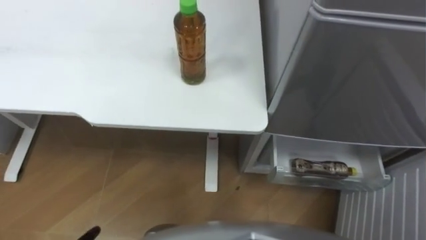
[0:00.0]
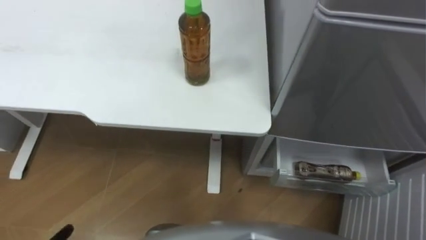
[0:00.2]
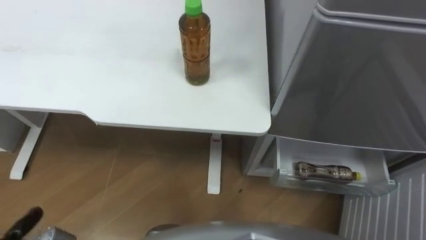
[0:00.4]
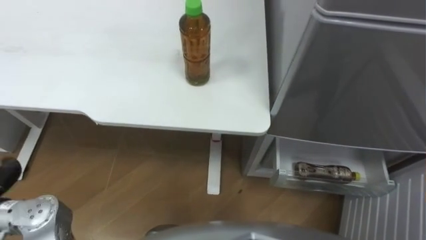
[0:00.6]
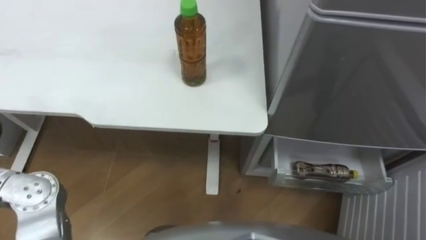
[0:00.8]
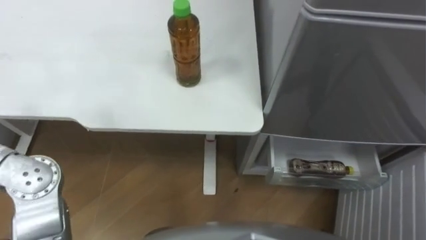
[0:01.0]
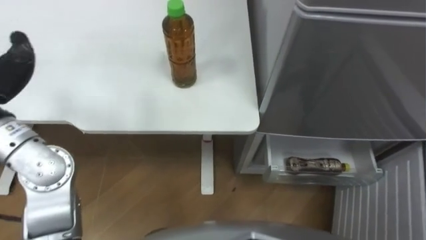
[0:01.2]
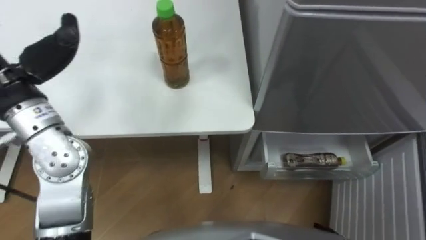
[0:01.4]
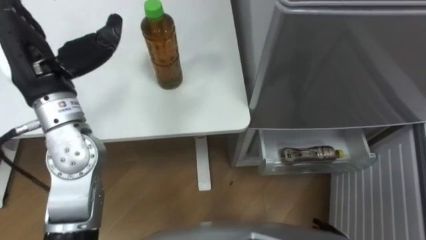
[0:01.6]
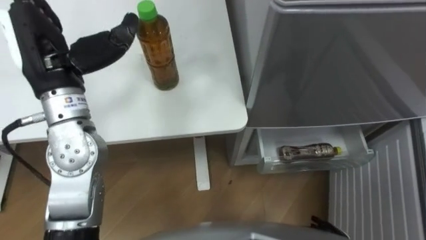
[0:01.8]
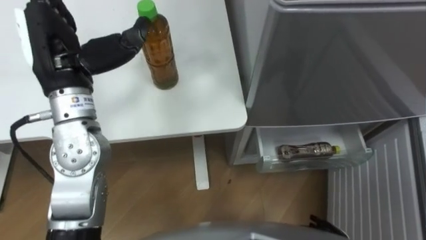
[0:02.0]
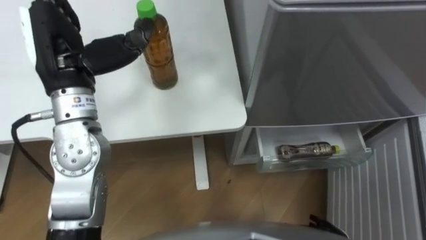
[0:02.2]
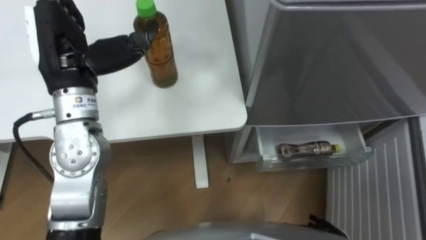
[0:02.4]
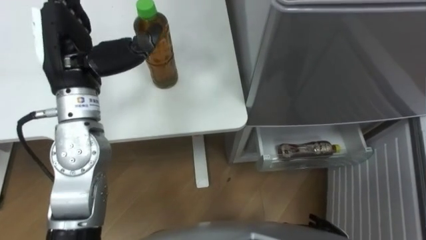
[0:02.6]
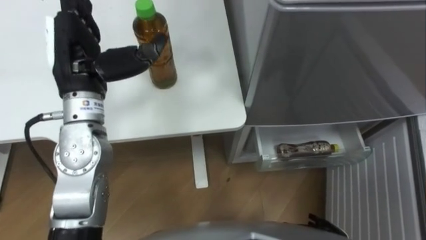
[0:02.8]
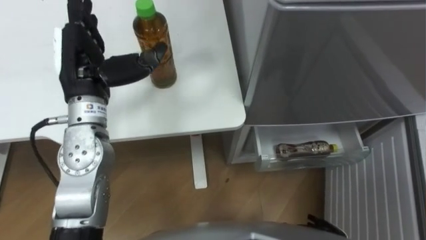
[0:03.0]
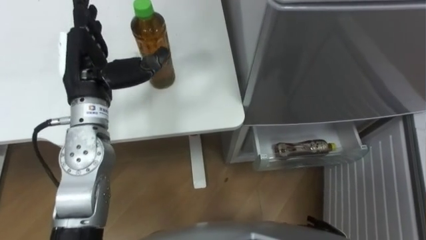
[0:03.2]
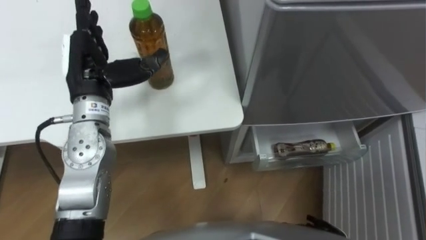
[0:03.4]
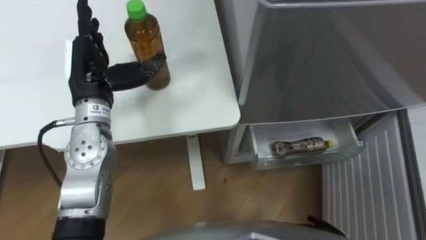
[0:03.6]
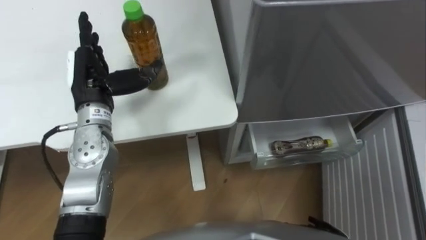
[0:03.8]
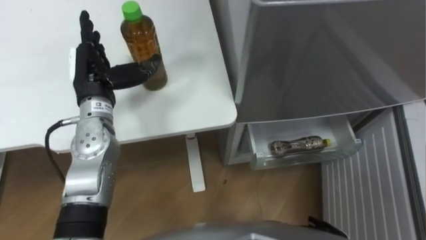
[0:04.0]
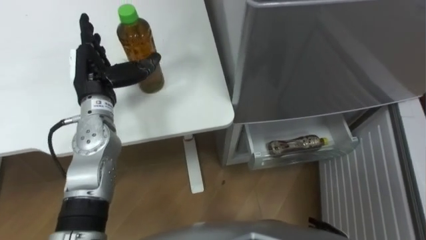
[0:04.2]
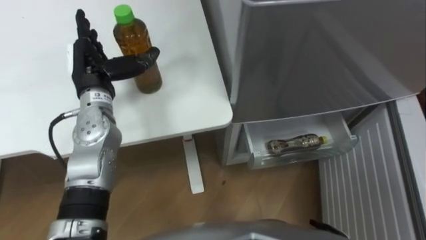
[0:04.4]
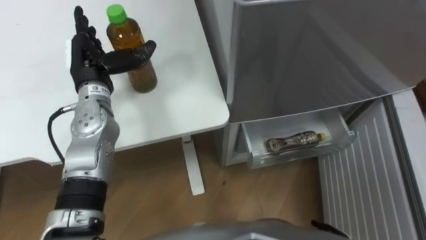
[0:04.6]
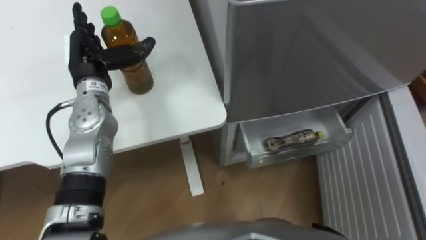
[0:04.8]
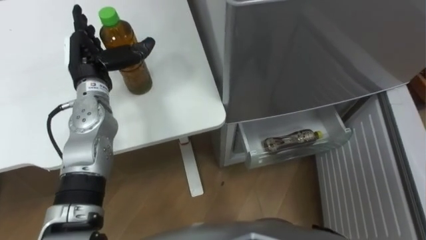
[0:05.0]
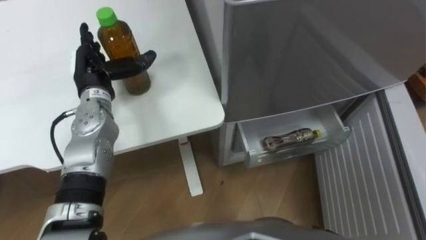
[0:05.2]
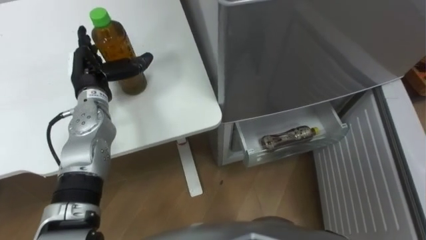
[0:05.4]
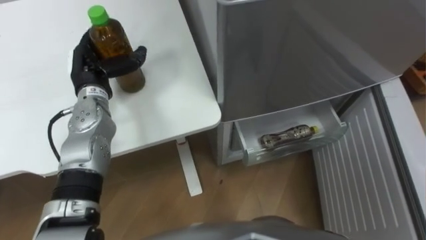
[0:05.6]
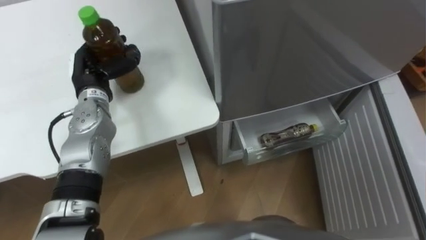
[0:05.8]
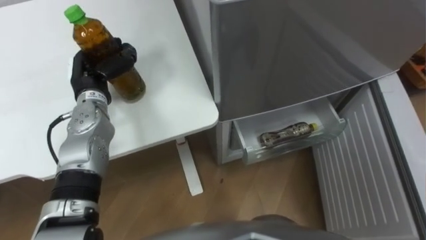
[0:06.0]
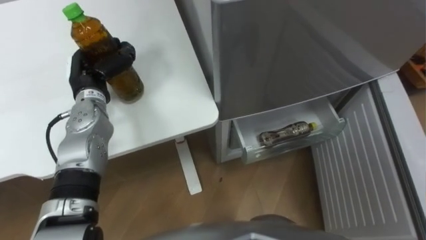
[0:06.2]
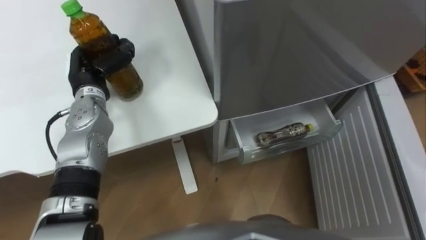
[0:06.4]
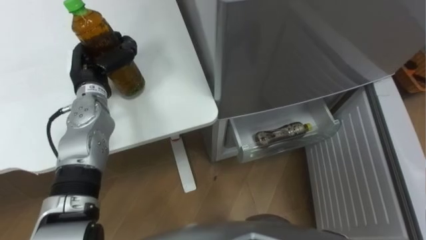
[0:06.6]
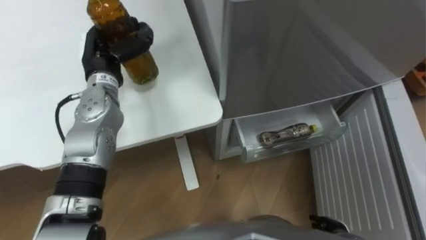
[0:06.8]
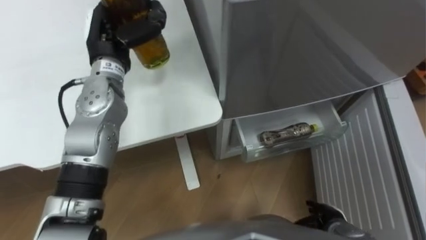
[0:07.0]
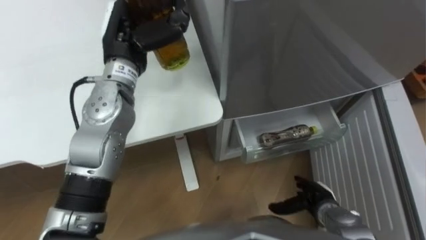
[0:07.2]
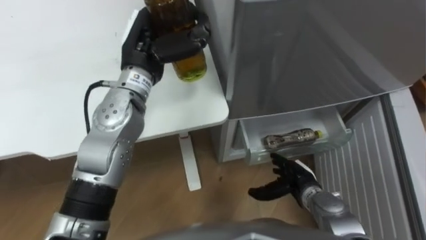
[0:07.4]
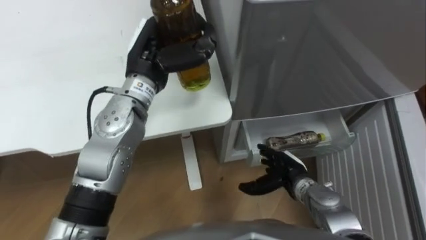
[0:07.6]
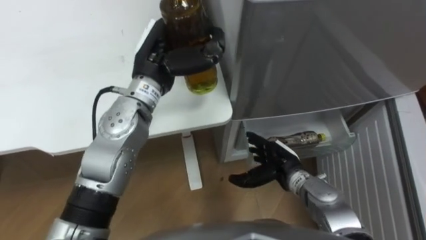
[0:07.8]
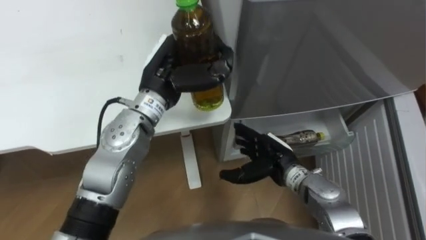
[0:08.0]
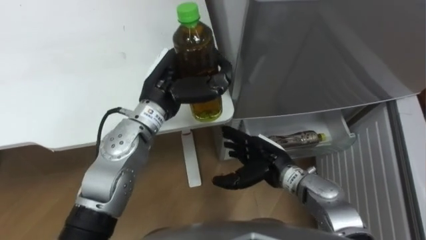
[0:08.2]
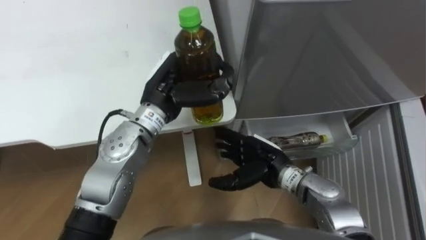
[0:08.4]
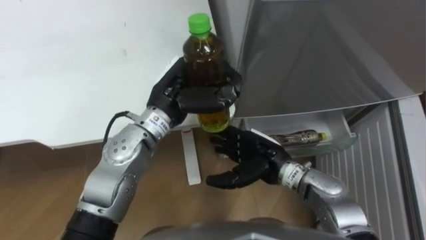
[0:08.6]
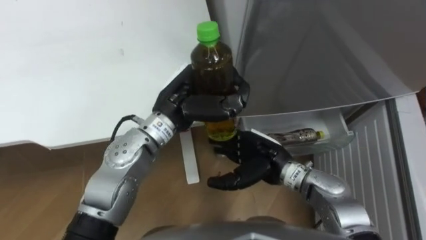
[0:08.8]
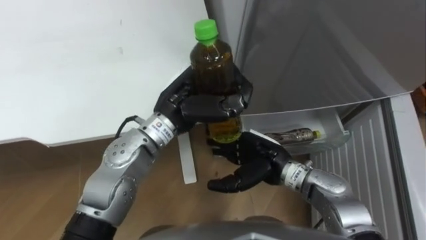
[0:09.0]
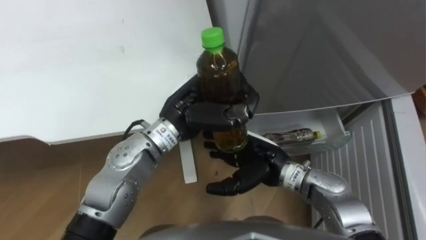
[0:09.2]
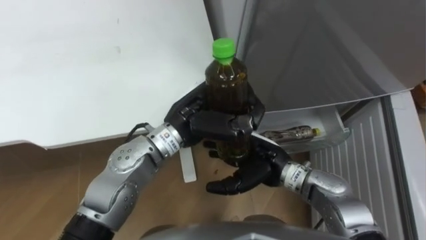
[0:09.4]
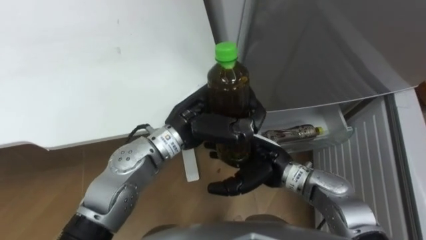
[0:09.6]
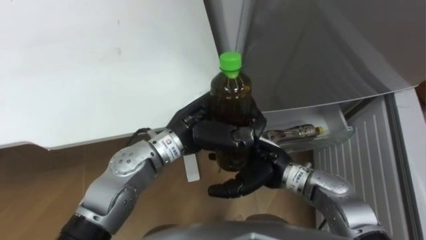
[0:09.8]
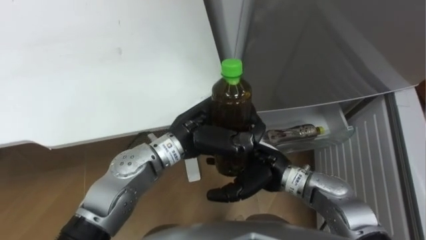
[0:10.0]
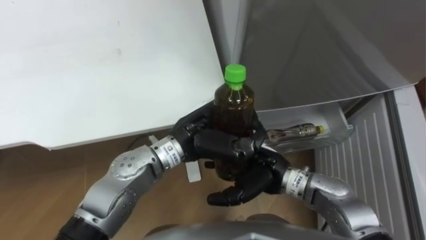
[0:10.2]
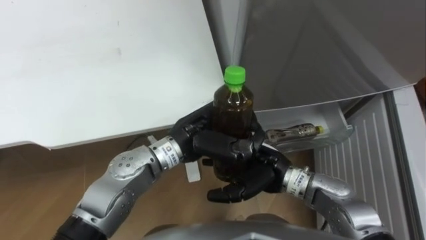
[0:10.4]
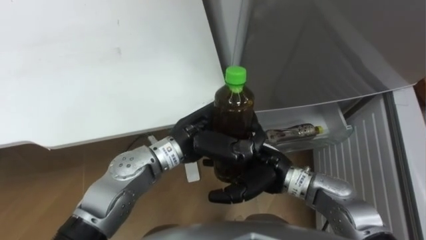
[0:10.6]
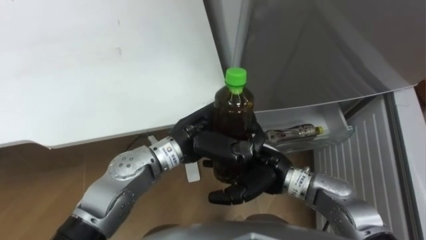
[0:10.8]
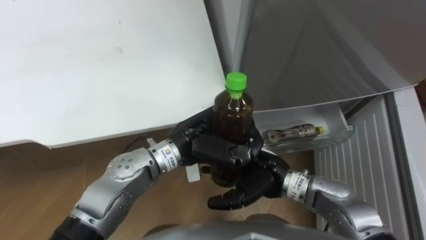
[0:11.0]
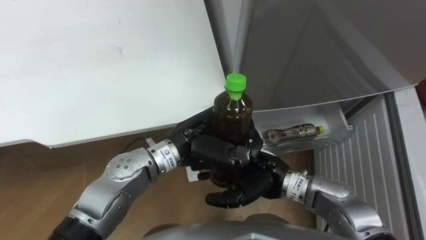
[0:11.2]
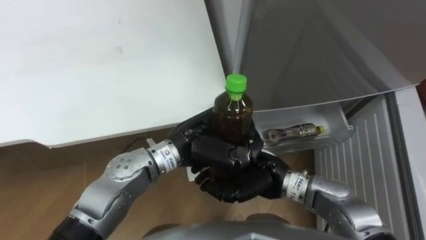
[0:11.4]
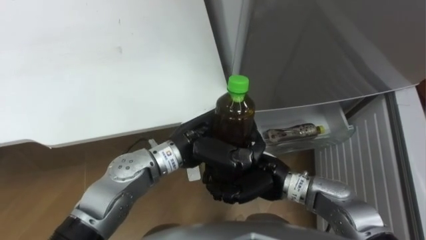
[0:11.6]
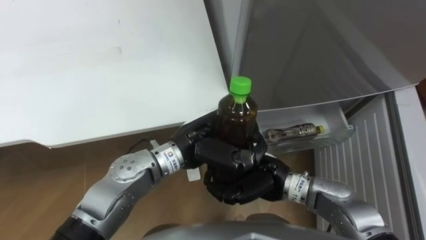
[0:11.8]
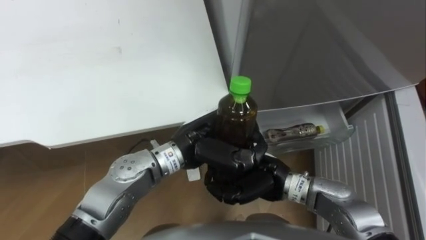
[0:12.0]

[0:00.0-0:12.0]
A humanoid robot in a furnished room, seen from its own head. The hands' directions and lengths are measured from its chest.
Task of the whole recording: Place the drink on the table on the bottom shelf of the refrigerator, then close the drawer and the refrigerator door.
0:01.6 to 0:03.0: The left hand changes place by some 5 cm.
0:03.0 to 0:04.4: The left hand heads downward, covering roughly 5 cm.
0:04.4 to 0:06.0: The left hand closes its fingers.
0:06.0 to 0:07.6: The left hand travels to the right and upward by some 15 cm.
0:07.6 to 0:09.0: The left hand travels backward and to the right by approximately 10 cm; the right hand heads upward and to the left, covering about 10 cm.
0:09.0 to 0:10.4: The left hand changes place by about 5 cm.
0:10.4 to 0:12.0: The right hand closes.

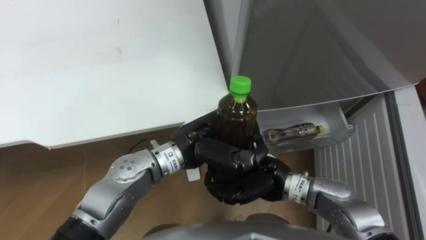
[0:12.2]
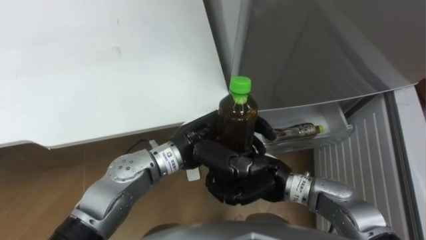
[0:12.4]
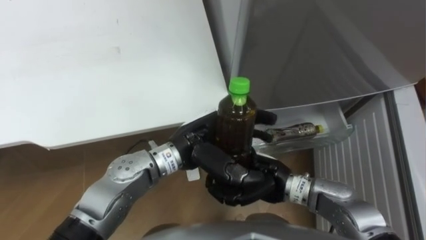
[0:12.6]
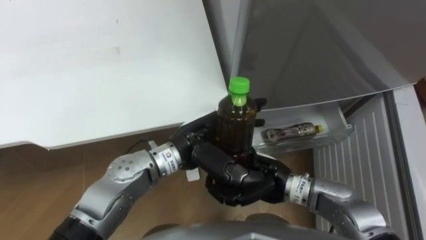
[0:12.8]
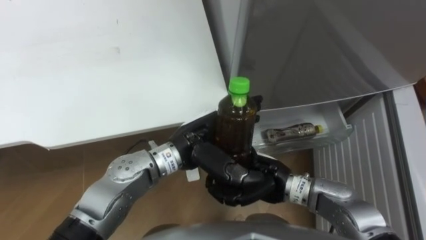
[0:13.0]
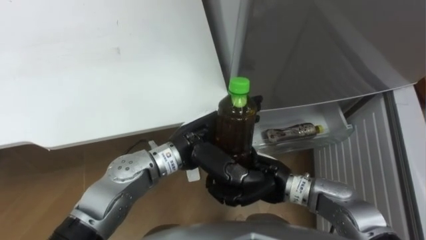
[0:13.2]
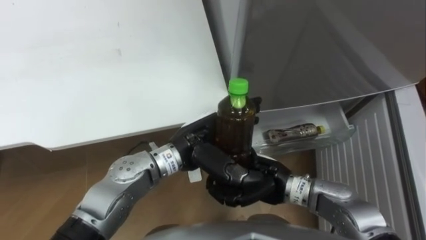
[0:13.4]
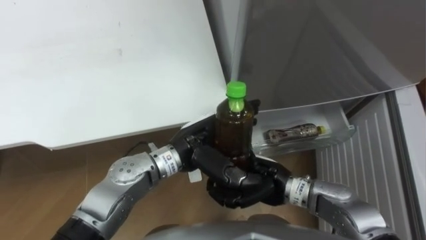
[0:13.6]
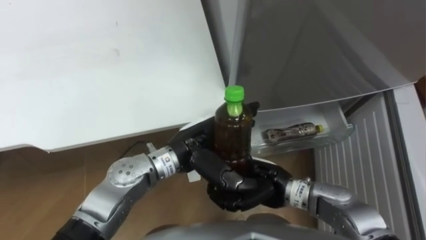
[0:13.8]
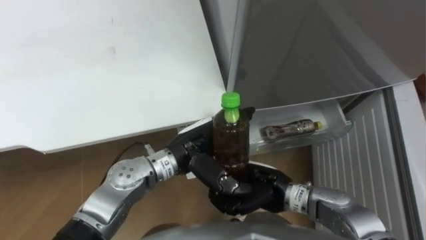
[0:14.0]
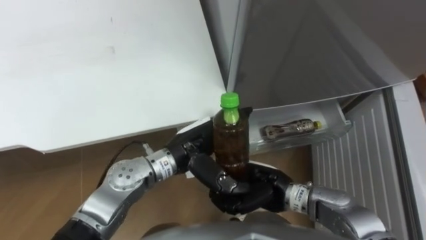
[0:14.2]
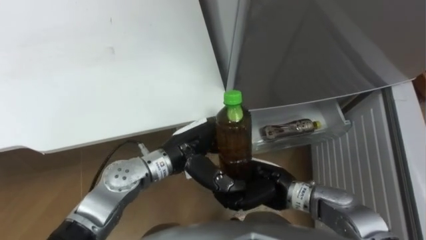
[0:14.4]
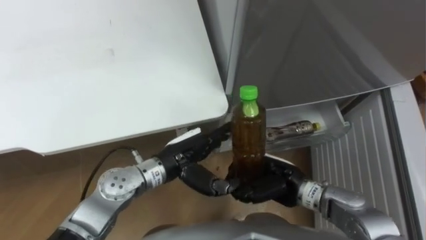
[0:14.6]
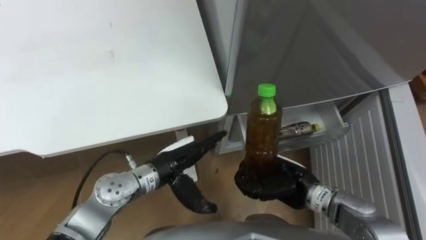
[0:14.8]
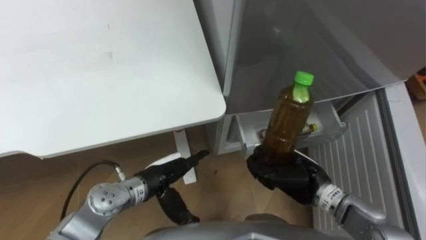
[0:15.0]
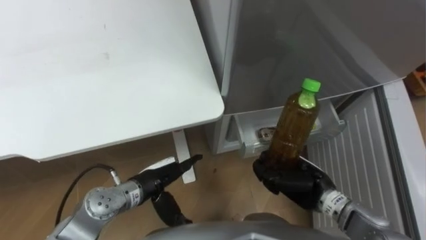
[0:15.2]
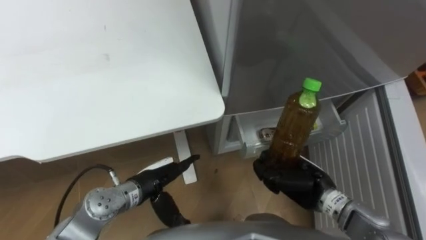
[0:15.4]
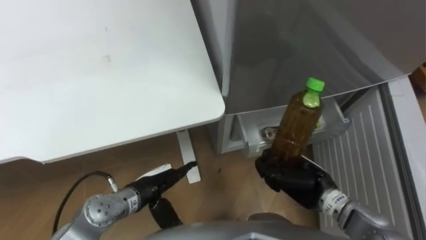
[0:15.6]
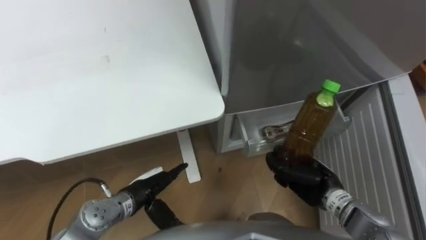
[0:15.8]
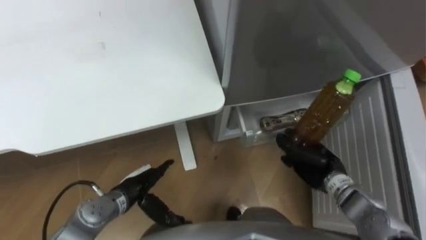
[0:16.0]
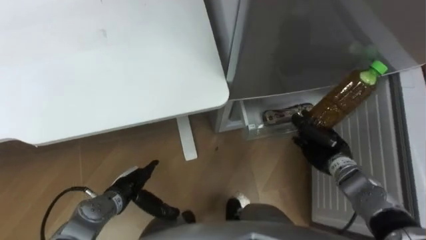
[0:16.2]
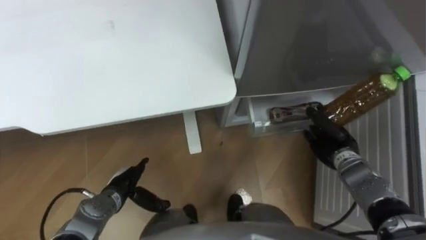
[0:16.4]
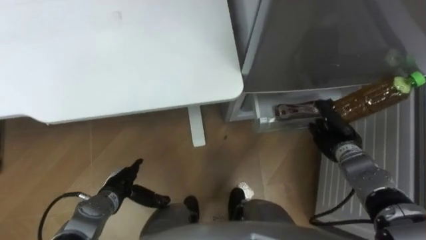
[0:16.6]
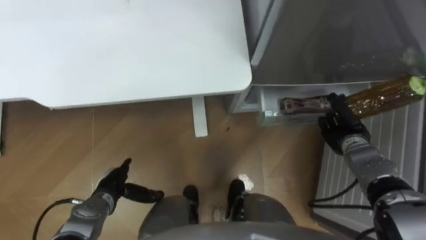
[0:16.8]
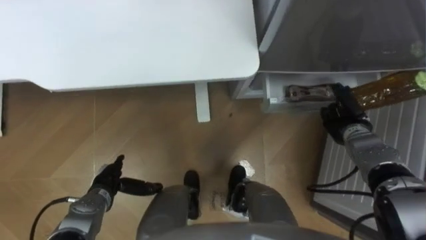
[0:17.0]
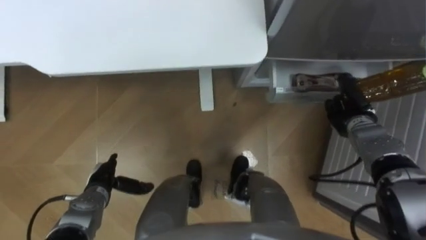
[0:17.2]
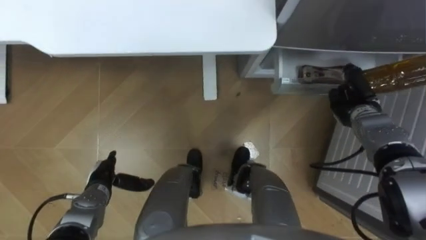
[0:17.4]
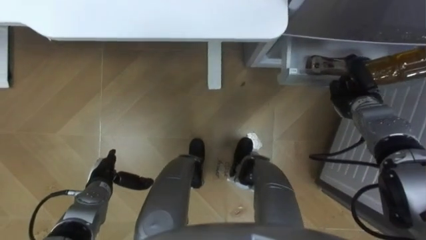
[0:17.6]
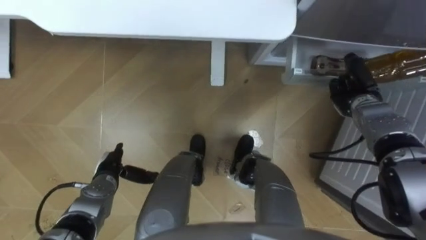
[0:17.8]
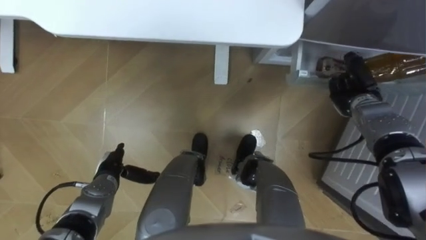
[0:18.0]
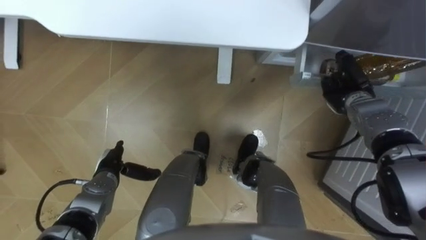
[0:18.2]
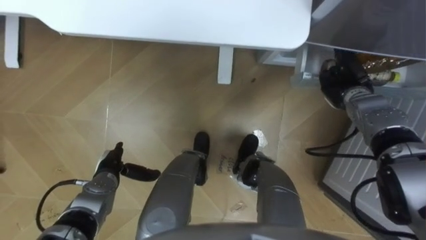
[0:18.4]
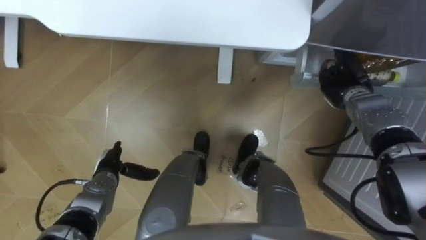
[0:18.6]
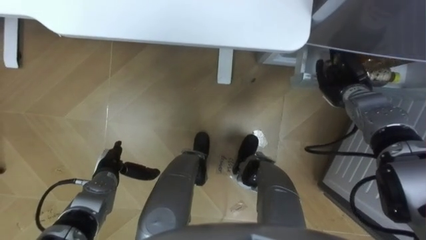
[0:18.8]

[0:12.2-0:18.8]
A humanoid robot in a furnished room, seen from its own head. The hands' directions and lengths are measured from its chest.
Task of the whole recording: Place the drink on the table on the bottom shelf of the refrigerator, then close the drawer and the refrigerator door.
0:12.2 to 0:13.8: The left hand opens up.
0:13.8 to 0:15.4: The left hand shifts roughly 15 cm downward and to the left; the right hand is displaced to the right by about 10 cm.
0:15.4 to 0:17.2: The left hand heads to the left and downward, covering approximately 15 cm, while the right hand goes roughly 20 cm forward and to the right.
0:17.2 to 0:18.8: The right hand moves forward, approximately 5 cm.
